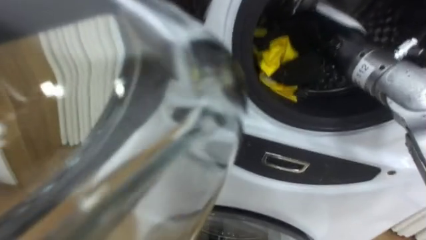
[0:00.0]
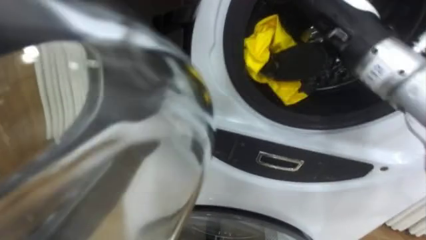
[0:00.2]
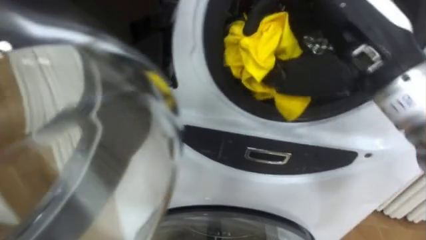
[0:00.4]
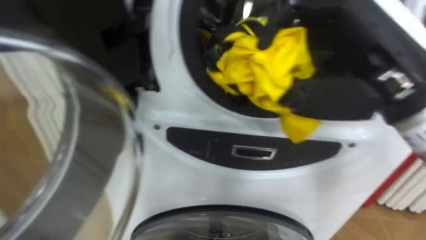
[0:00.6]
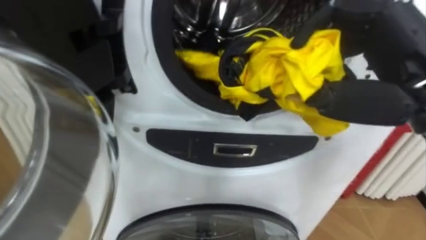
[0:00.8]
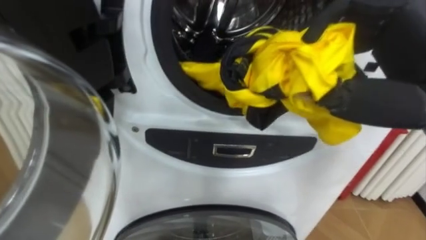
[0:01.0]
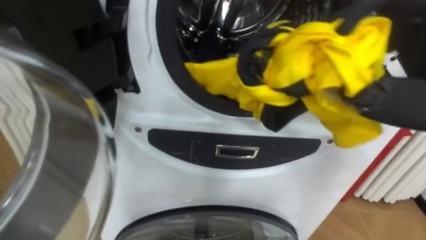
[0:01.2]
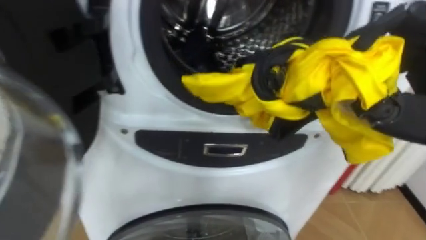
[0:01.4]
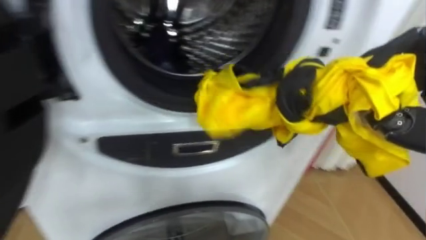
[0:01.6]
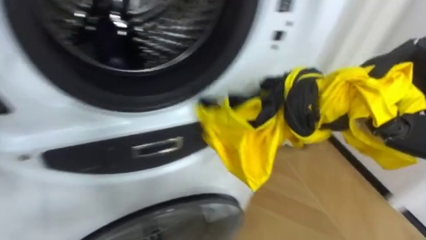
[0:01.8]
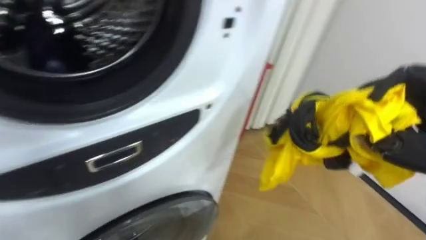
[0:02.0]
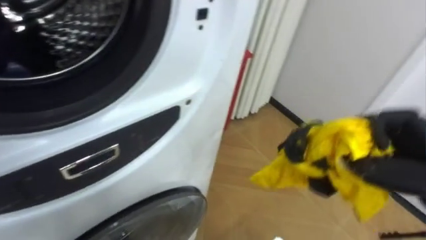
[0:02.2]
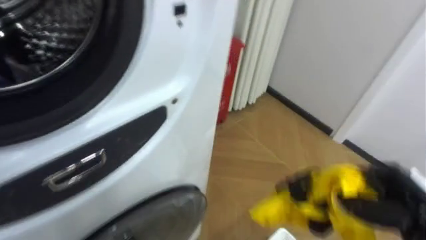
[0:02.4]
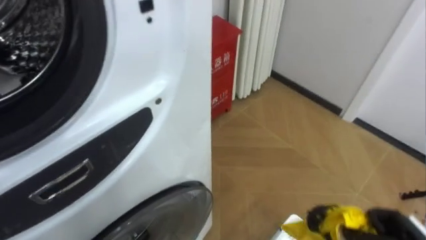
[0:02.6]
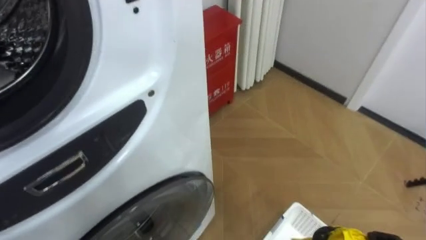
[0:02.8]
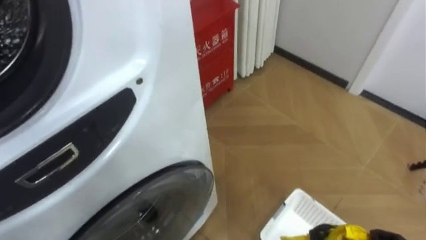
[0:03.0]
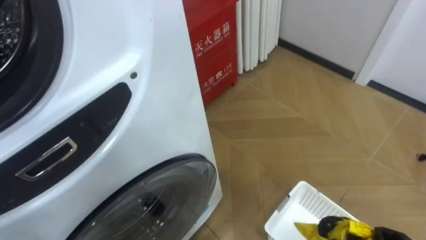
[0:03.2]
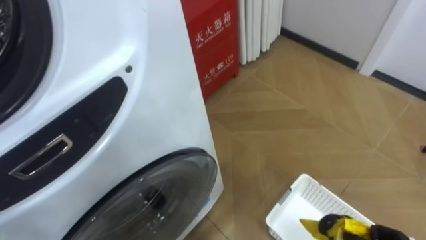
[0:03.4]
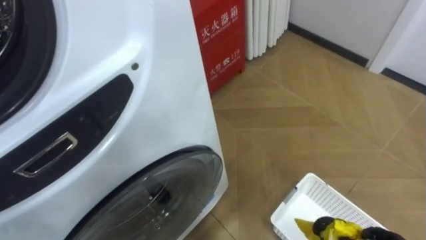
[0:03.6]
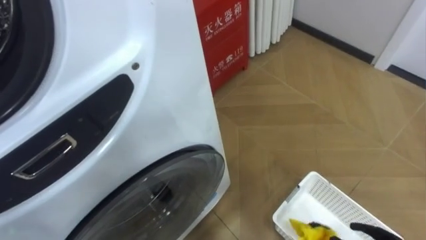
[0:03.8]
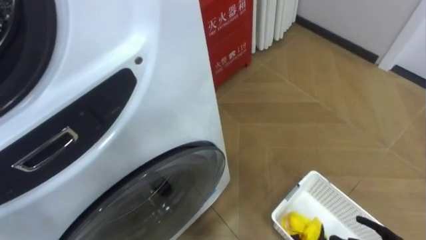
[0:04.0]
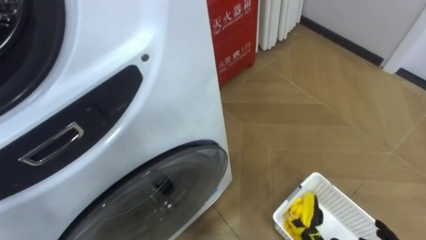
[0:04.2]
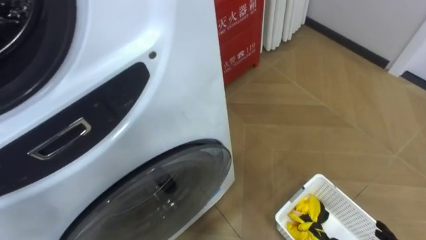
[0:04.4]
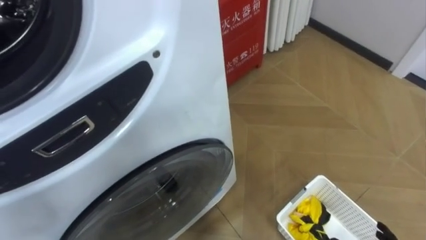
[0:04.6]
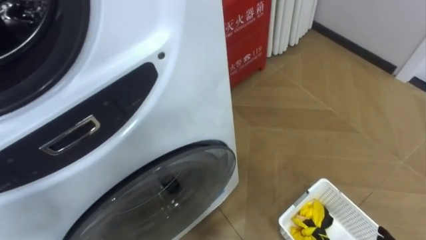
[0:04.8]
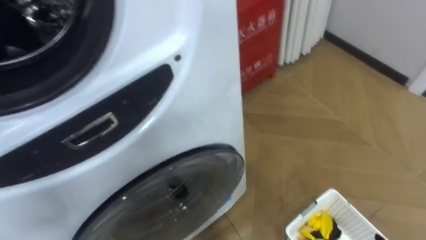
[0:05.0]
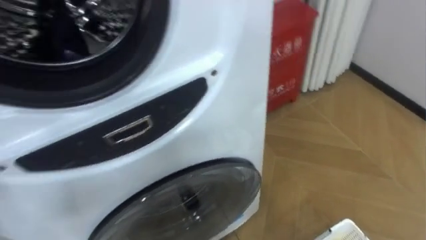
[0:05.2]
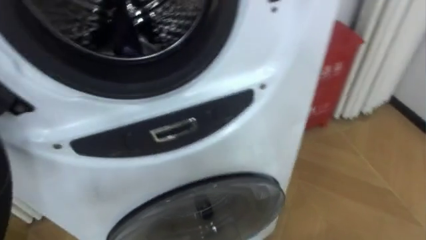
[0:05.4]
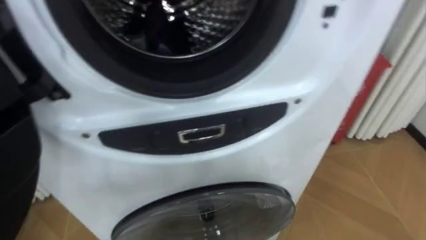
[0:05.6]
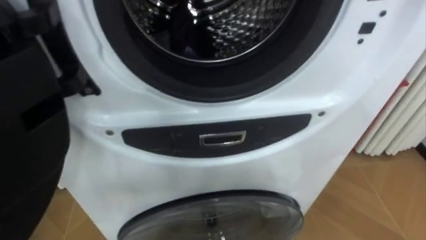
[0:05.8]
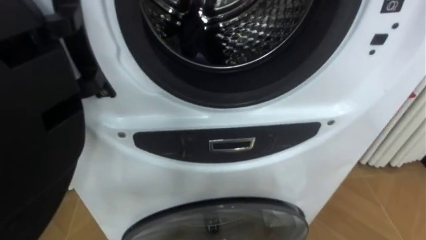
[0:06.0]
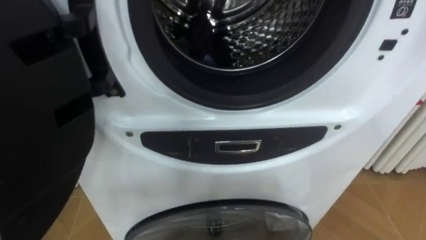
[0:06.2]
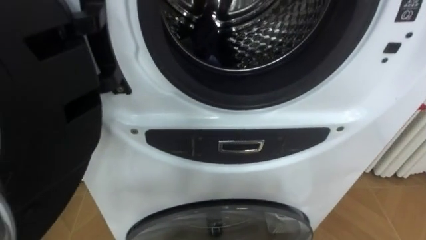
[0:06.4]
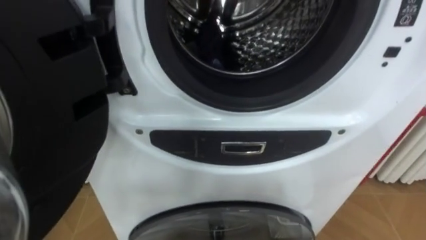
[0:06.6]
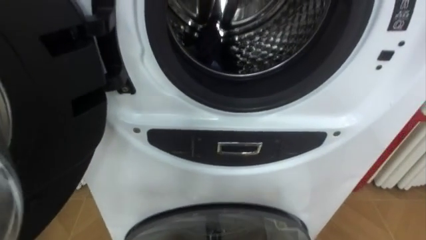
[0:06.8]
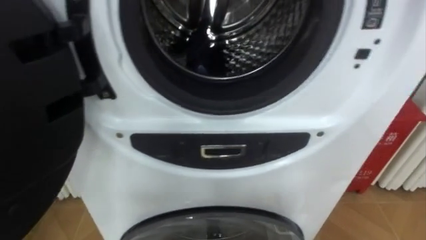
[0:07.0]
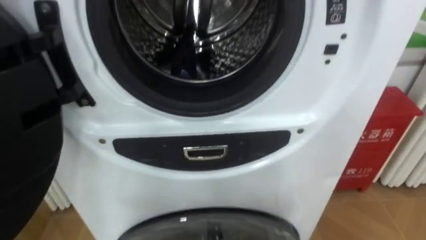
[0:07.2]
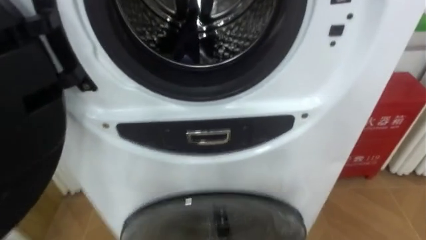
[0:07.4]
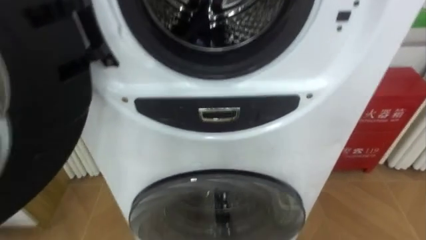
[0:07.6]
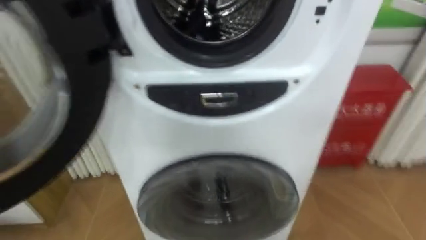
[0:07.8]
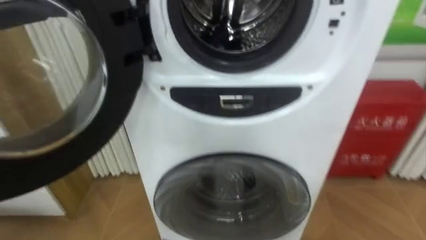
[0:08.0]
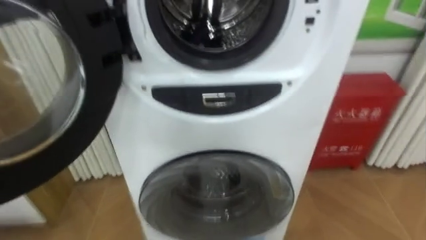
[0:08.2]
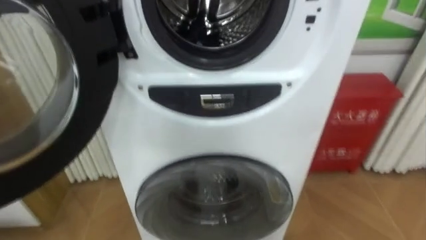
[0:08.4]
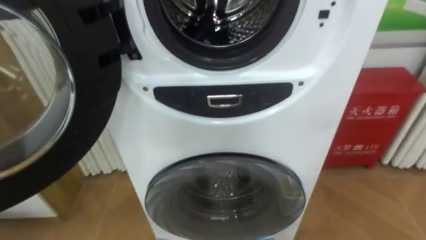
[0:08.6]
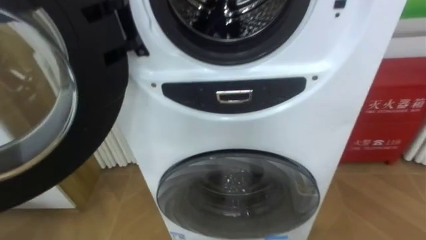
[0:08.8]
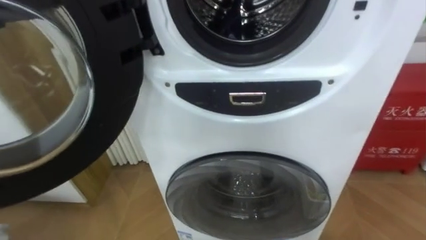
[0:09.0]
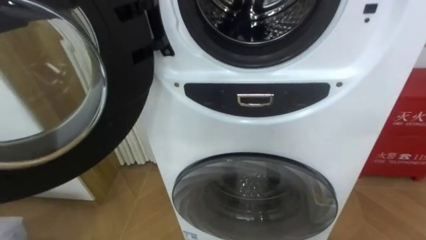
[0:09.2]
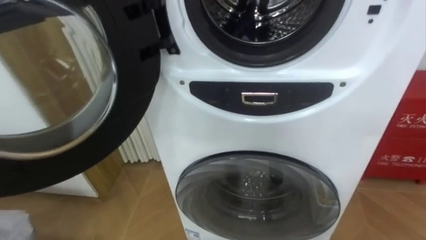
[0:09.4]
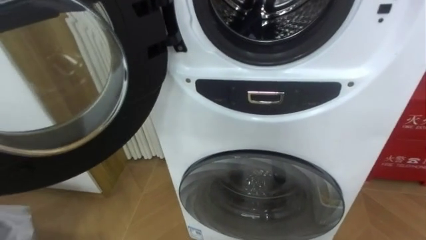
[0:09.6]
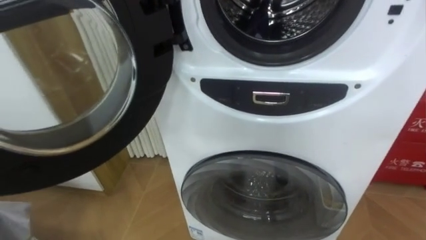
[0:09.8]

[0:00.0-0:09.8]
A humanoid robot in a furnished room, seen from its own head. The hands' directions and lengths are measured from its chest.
Task of the whole recording: Open the washing machine door, take out the yellow clothes, place them in the box on the right, and close the washing machine door.
0:01.4 to 0:02.8: The robot rotates some 30 degrees to its right.
0:04.2 to 0:05.6: The robot rotates approximately 20 degrees to its left.

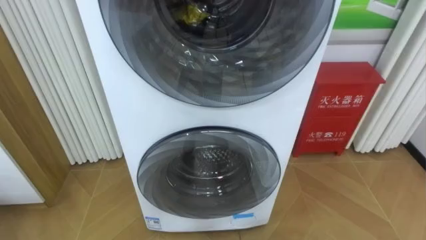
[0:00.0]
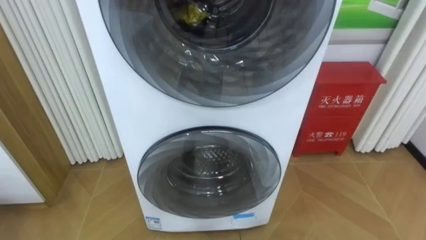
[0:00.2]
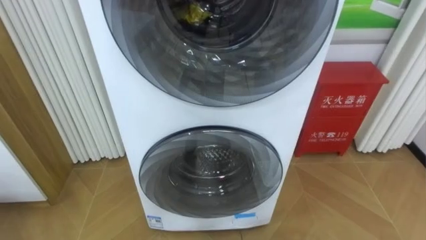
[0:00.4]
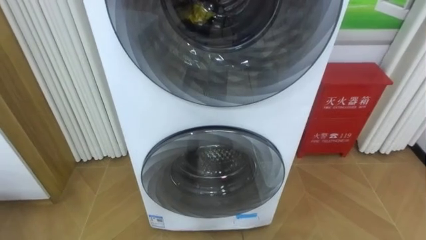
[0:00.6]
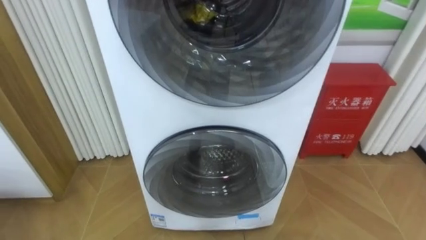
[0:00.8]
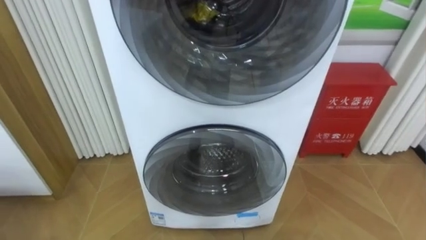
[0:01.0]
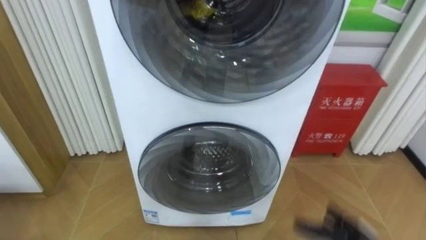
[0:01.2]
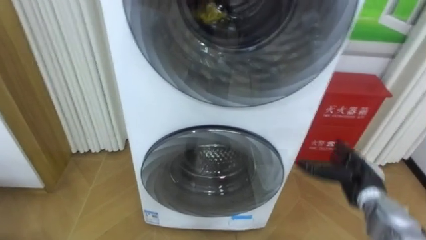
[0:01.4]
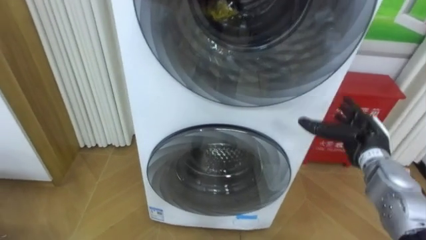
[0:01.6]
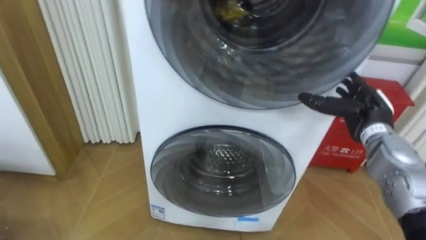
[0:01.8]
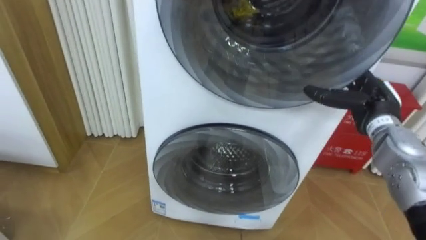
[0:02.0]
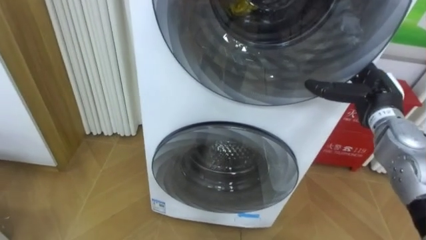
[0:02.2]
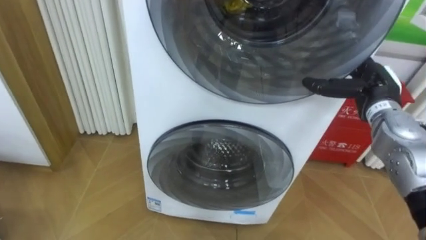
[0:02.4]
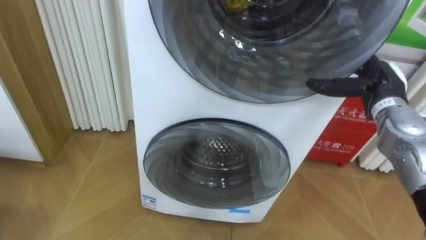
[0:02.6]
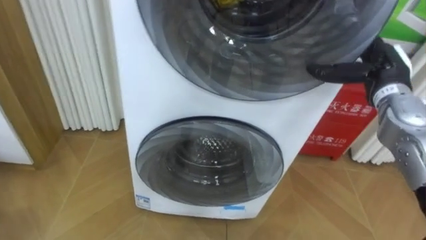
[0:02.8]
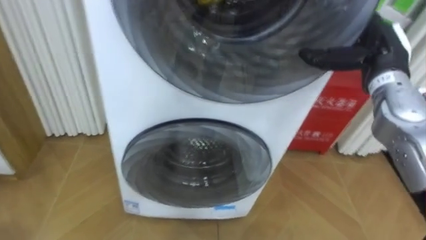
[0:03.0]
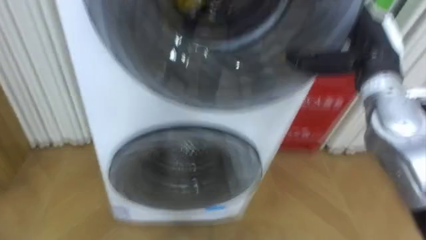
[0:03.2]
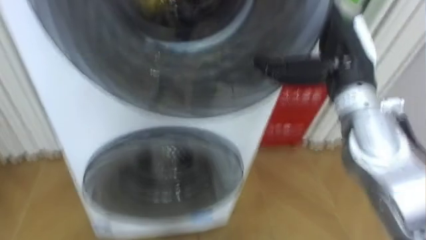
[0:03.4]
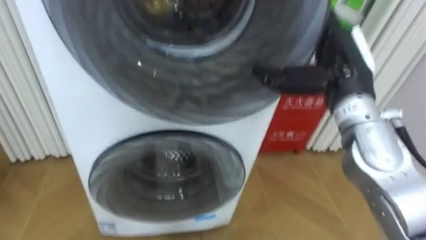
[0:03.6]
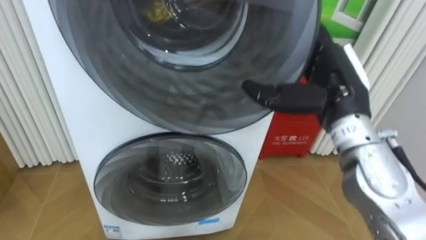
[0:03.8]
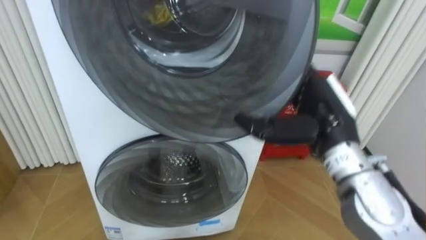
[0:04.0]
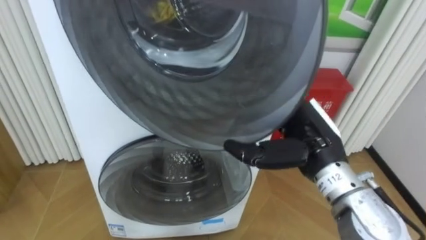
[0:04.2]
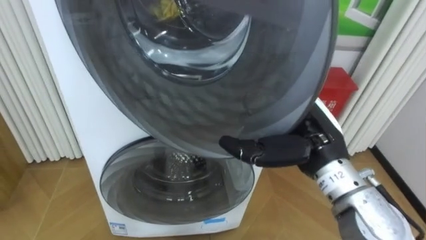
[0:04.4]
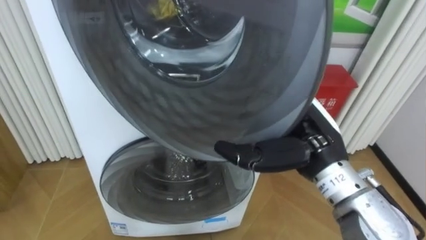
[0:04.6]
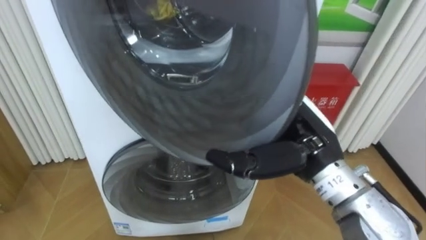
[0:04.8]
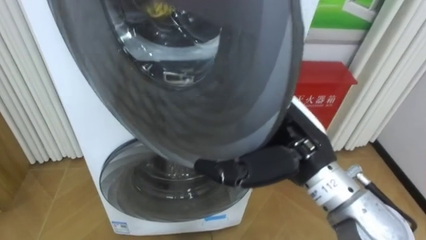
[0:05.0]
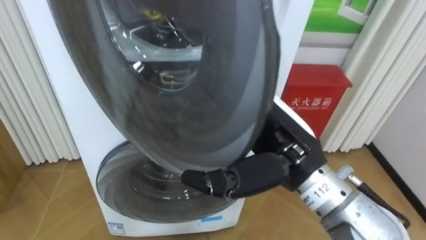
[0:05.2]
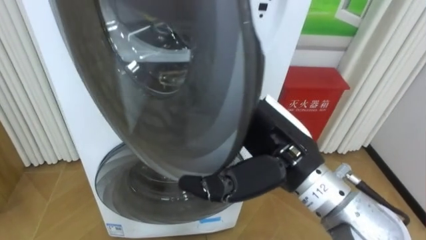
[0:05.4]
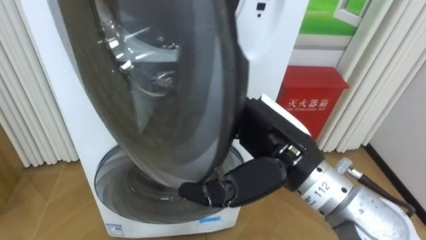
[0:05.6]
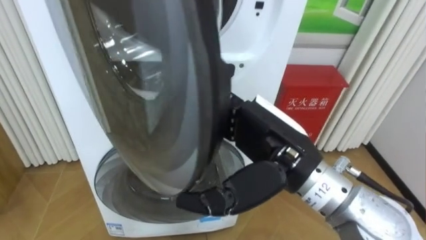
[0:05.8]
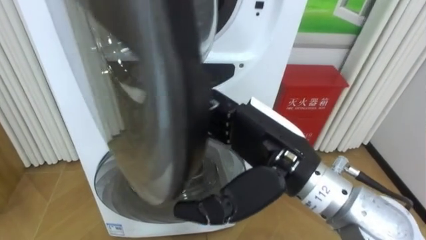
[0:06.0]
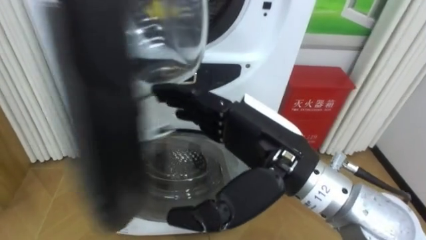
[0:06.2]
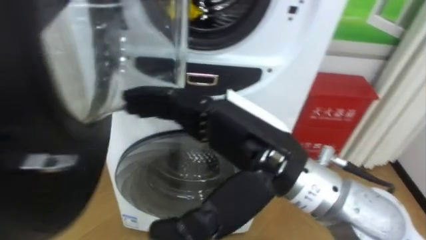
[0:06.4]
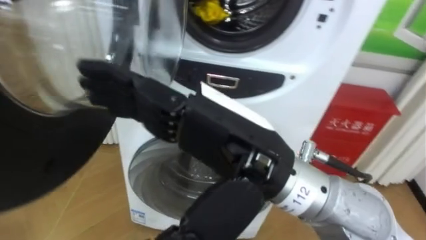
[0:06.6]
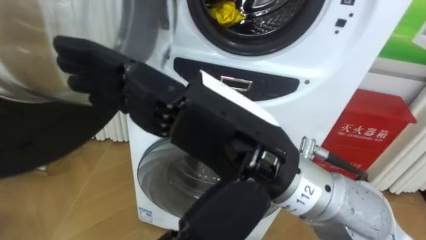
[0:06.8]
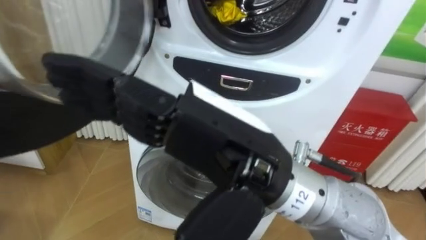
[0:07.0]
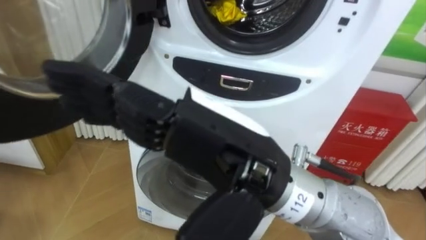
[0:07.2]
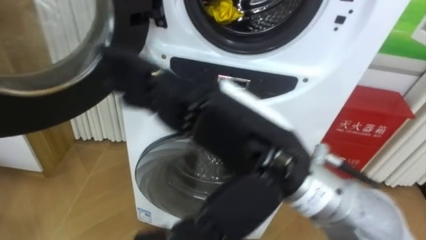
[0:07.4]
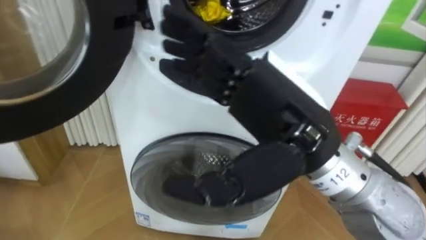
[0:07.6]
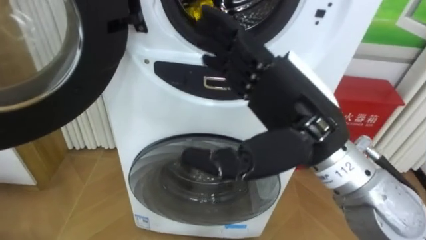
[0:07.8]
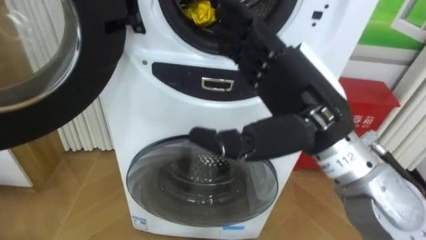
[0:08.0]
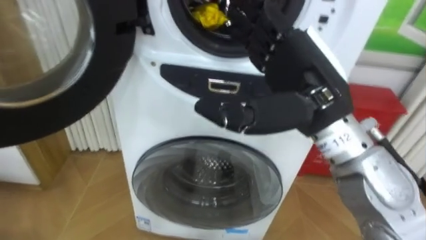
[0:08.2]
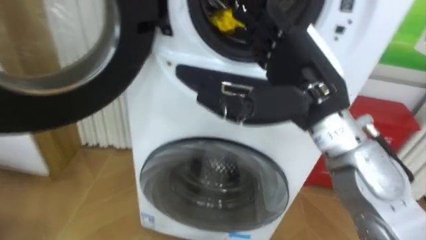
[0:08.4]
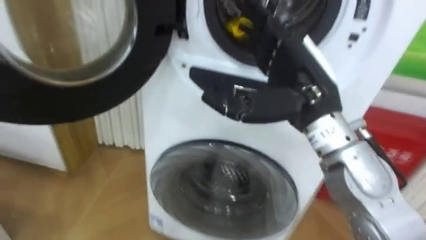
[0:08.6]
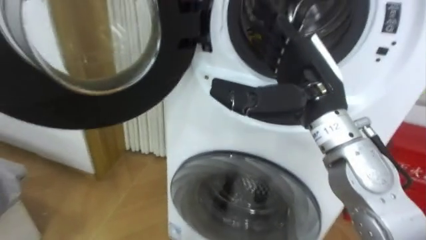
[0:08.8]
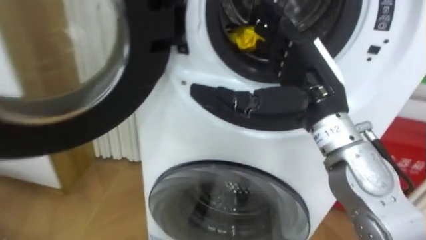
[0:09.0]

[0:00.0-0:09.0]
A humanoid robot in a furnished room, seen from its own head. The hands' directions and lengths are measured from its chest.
Task of the whole recording: Open the washing machine door, take out the yellow clothes, place them in the box on the right, and close the washing machine door.
0:01.6 to 0:03.0: The right hand travels upward by approximately 15 cm.
0:03.0 to 0:04.4: The right hand is displaced to the left, backward and downward by about 15 cm.
0:04.4 to 0:06.0: The right hand is displaced to the left and backward by some 10 cm.
0:06.0 to 0:07.6: The right hand shifts approximately 5 cm upward.
0:07.6 to 0:09.0: The right hand moves forward and to the right, some 10 cm.
